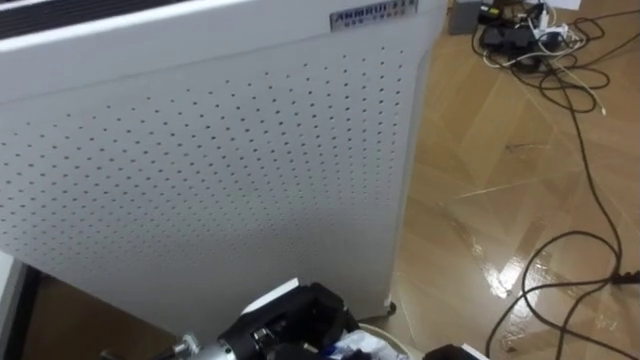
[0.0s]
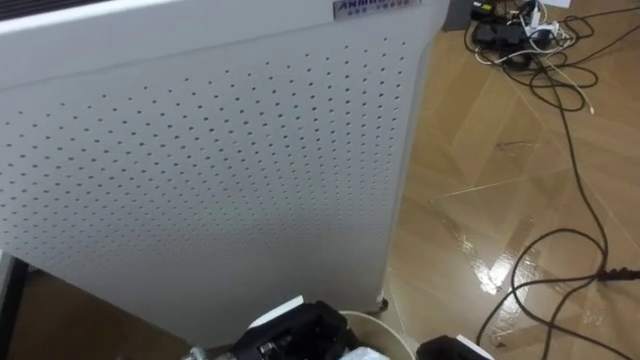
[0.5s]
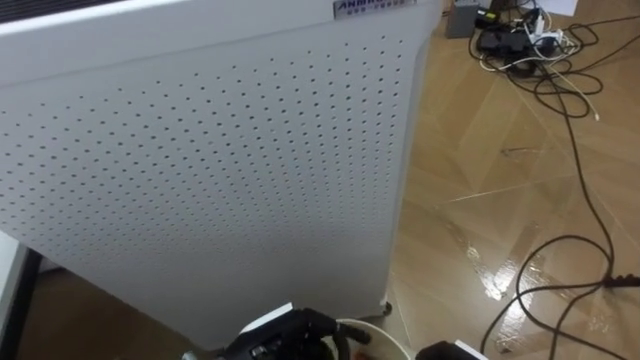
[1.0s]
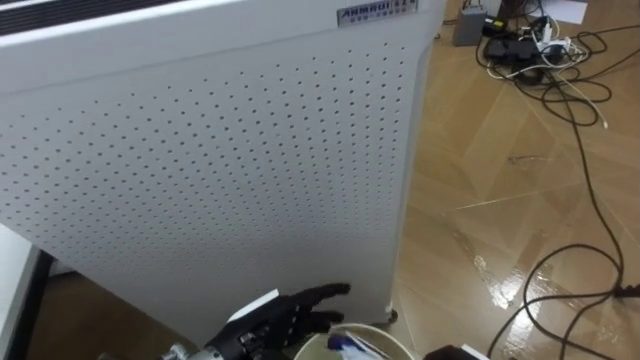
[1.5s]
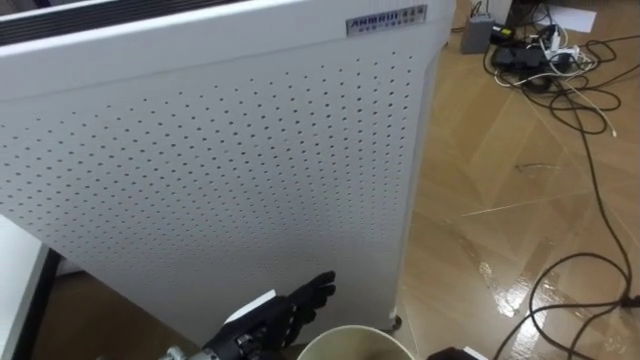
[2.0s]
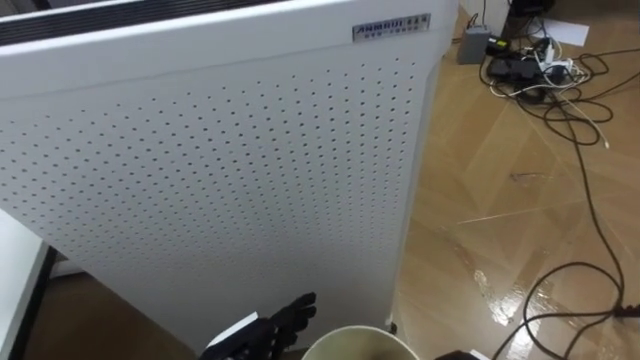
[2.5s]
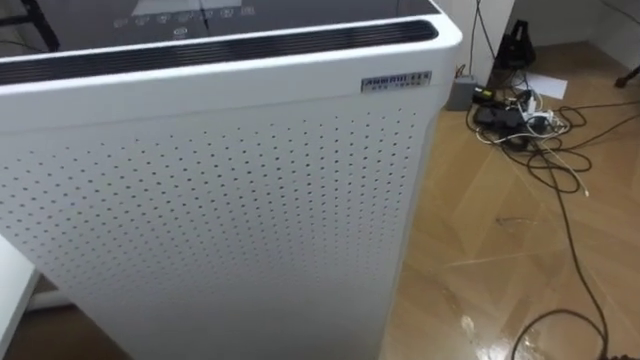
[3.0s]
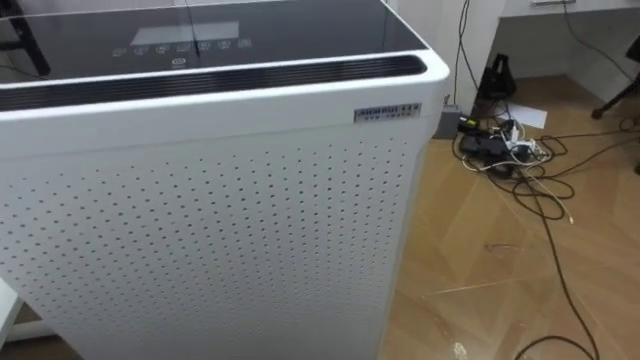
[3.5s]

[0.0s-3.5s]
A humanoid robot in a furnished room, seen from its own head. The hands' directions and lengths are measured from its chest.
Task of the whole recording: Pick up the light blue package, the candy box, and the dark blue package separately, and put them into the trash can held in your right hand.
0.0s to 2.0s: The left hand opens up.

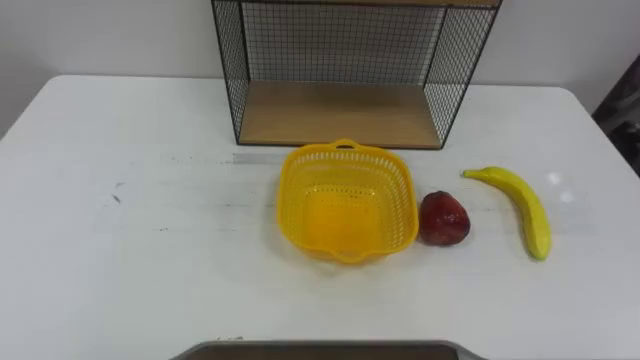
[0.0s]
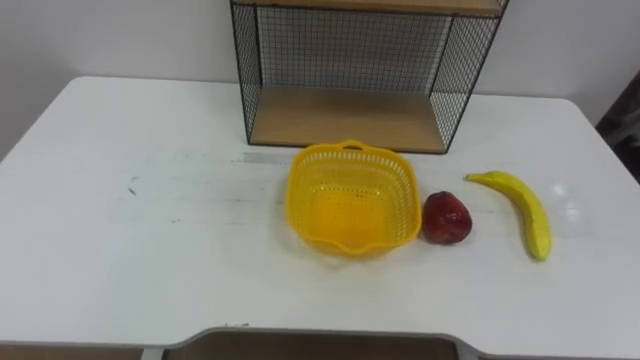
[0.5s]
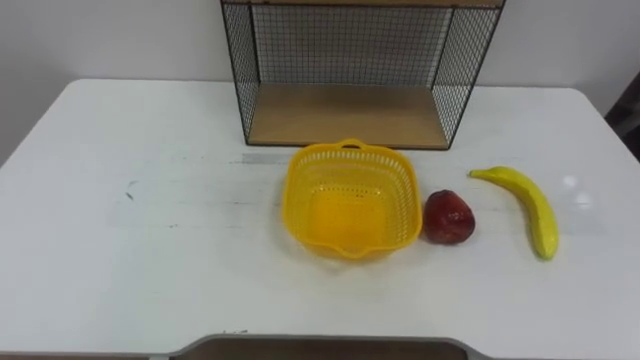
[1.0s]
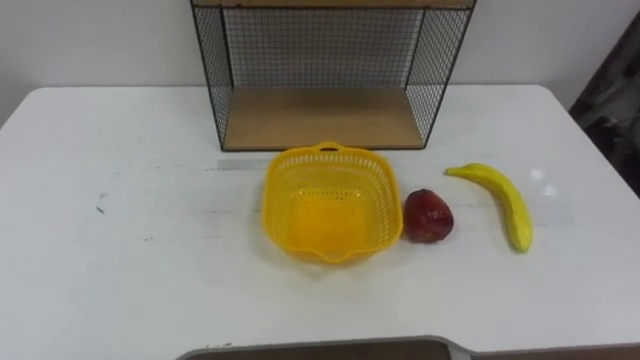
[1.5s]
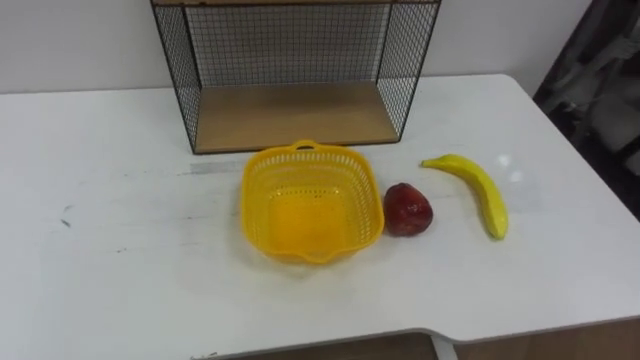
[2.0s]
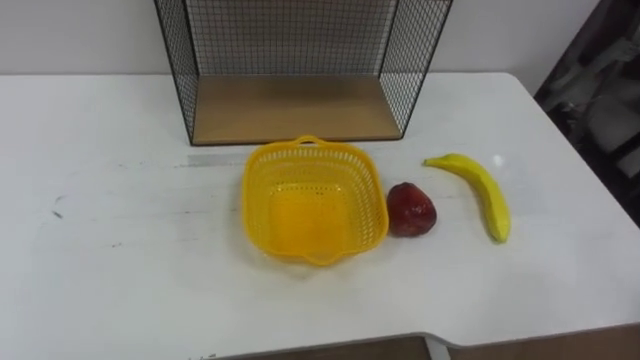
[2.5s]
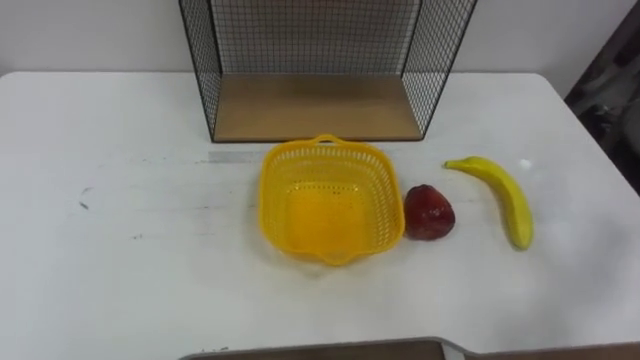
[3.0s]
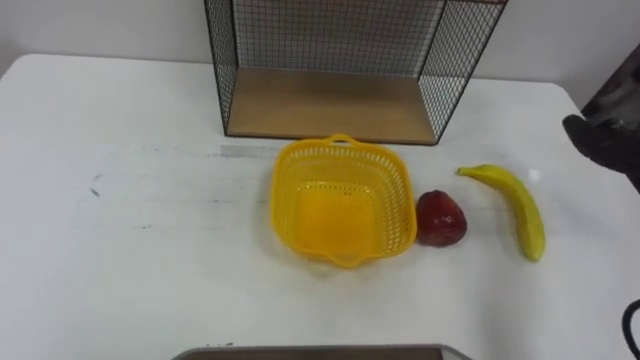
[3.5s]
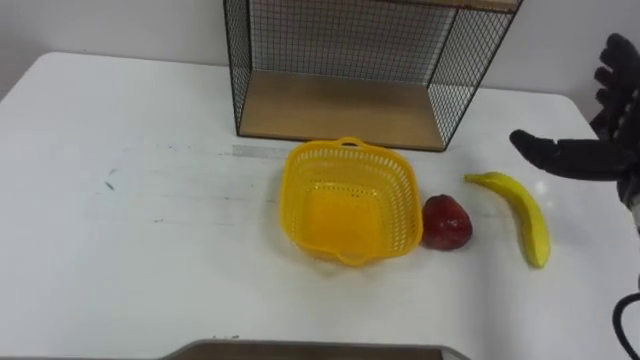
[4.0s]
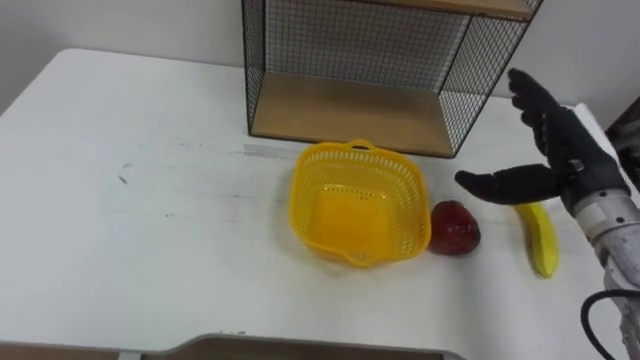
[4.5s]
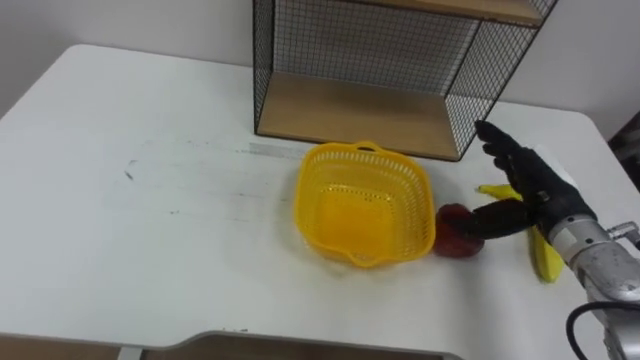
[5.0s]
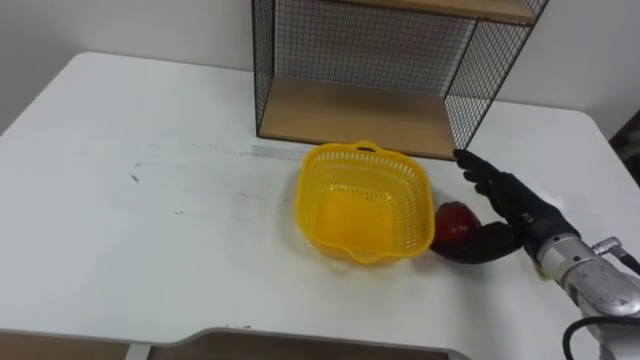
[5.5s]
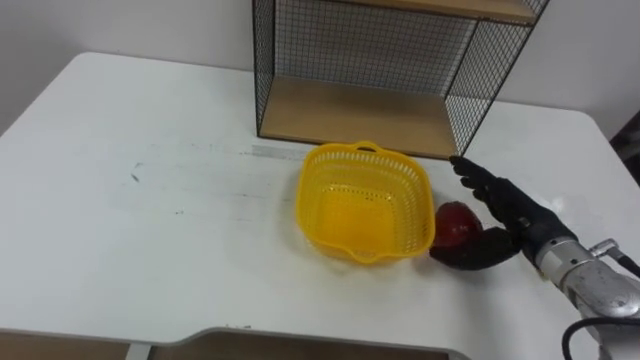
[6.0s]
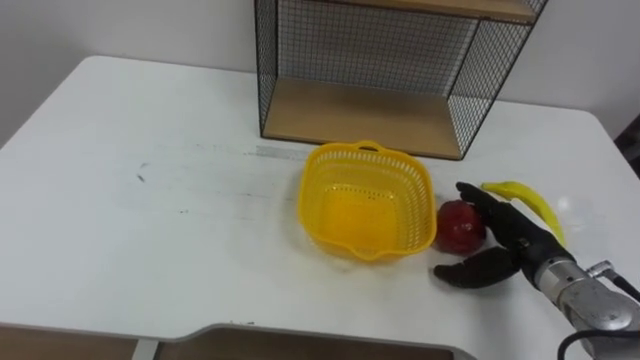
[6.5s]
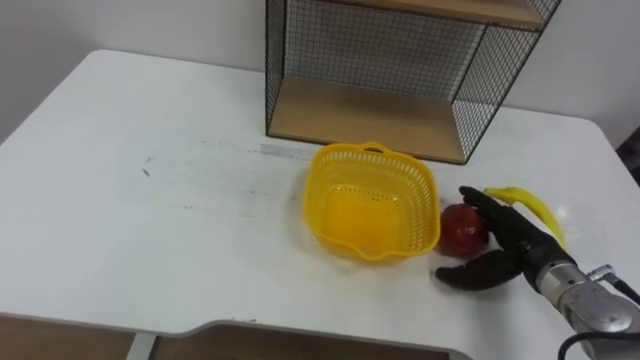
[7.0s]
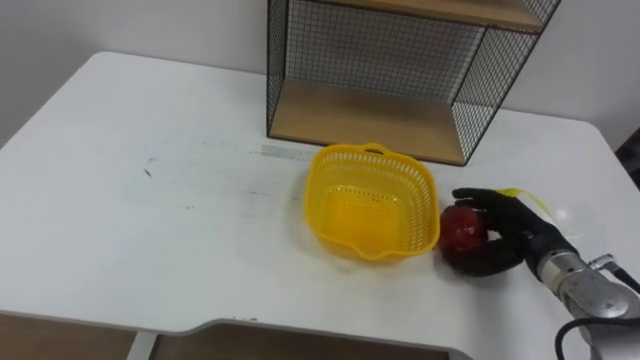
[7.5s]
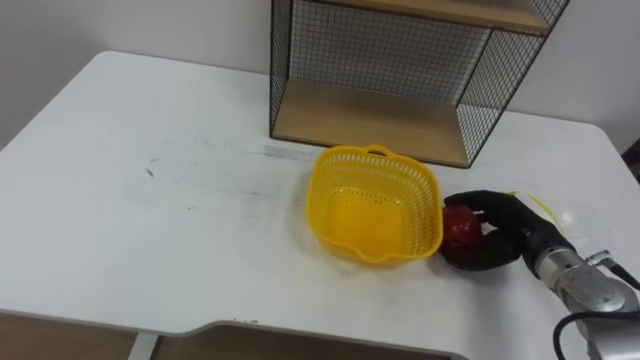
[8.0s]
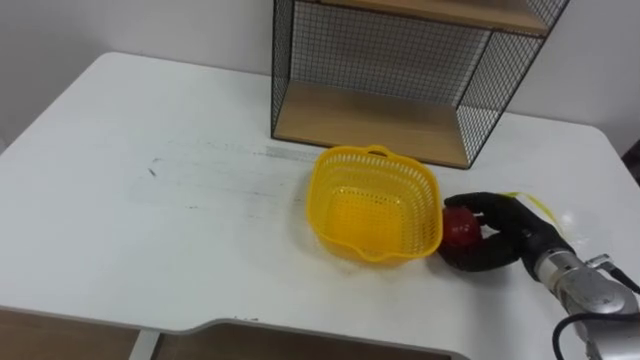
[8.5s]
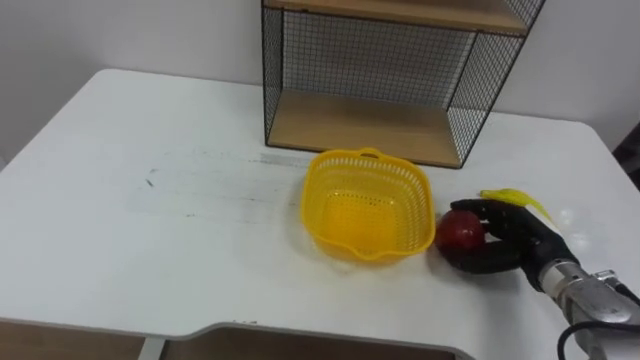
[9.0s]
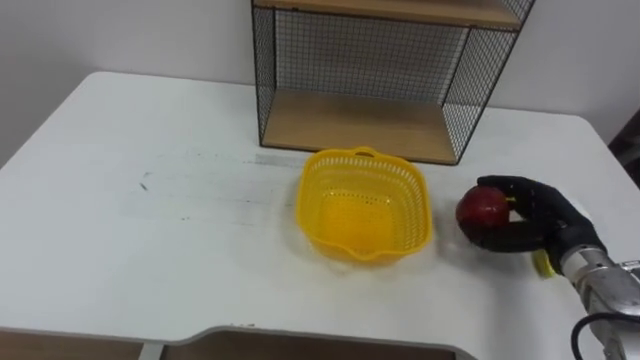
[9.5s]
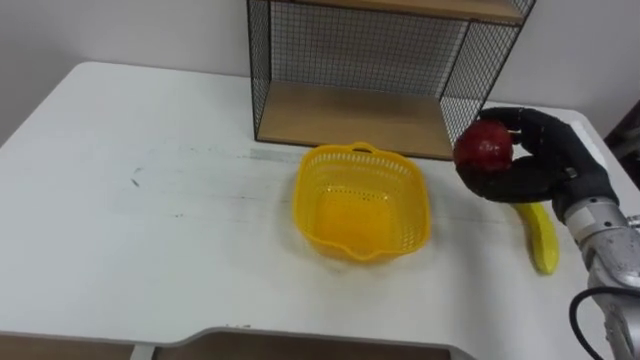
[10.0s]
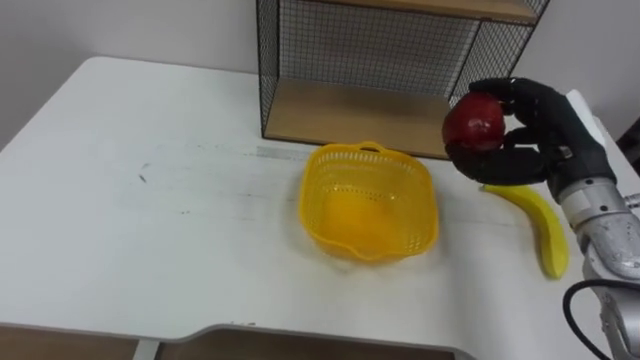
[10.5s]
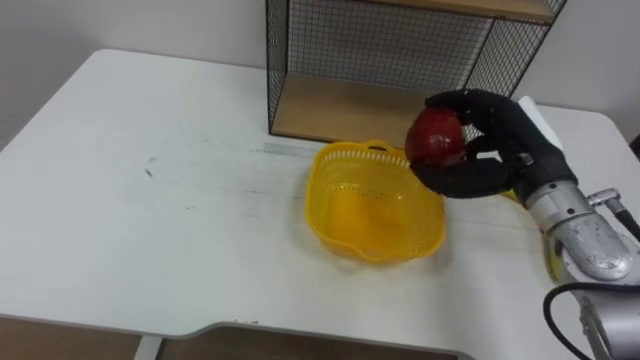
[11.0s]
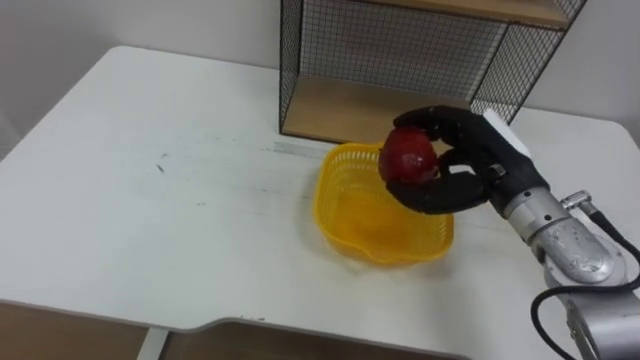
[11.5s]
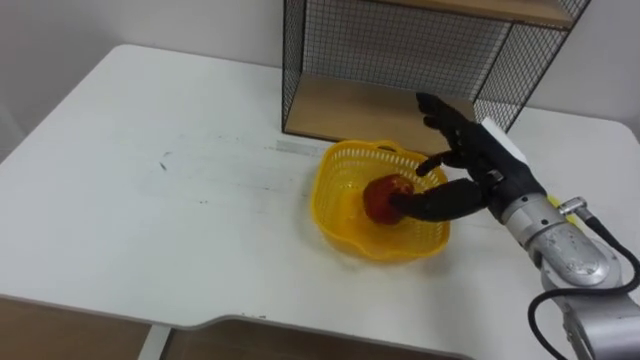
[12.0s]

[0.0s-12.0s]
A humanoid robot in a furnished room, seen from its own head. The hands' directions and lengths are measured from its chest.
Task of the whole recording: Put the fruit on the table into the basket, then place the basket on the shelf.
6.0s to 8.0s: The right hand closes.
8.0s to 10.0s: The right hand is displaced upward by approximately 10 cm.
10.0s to 12.0s: The right hand shifts roughly 10 cm to the left, and opens.

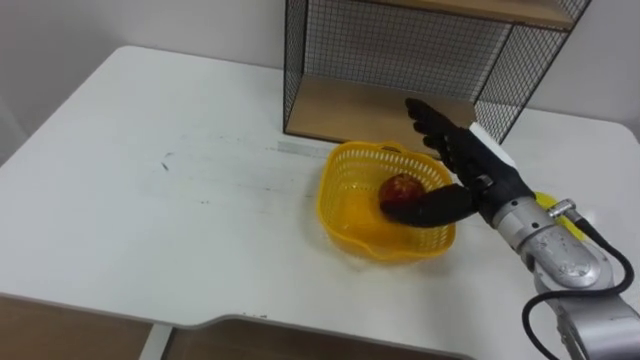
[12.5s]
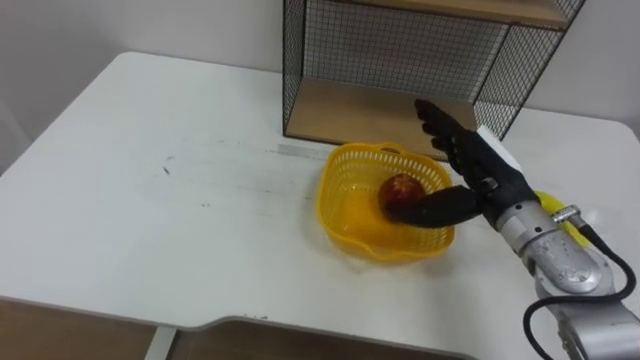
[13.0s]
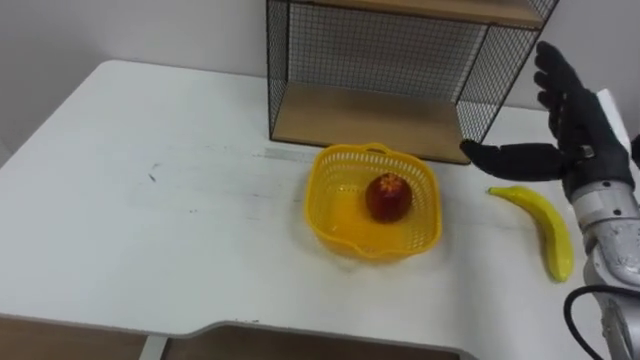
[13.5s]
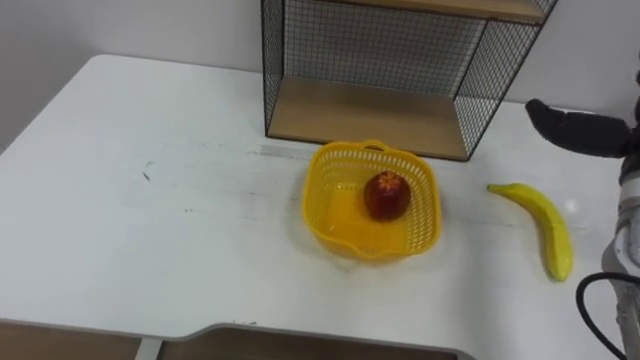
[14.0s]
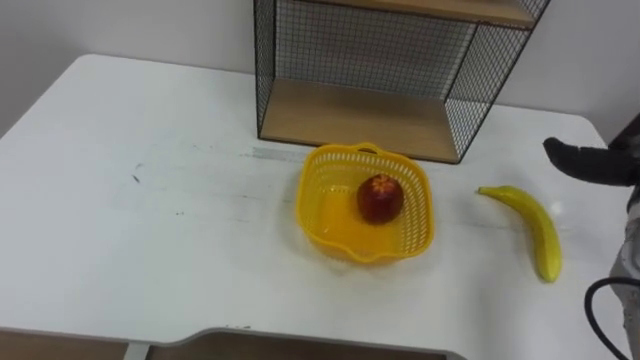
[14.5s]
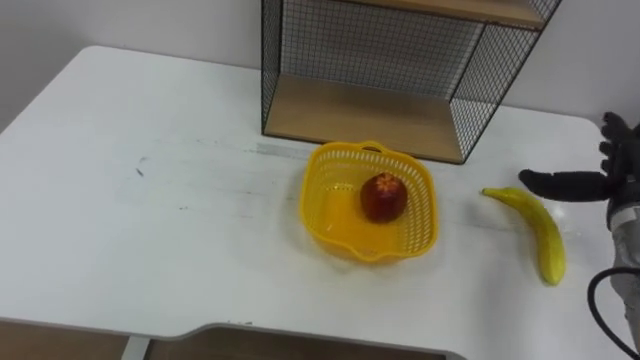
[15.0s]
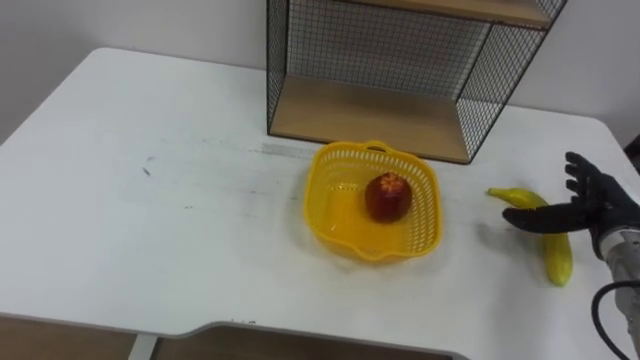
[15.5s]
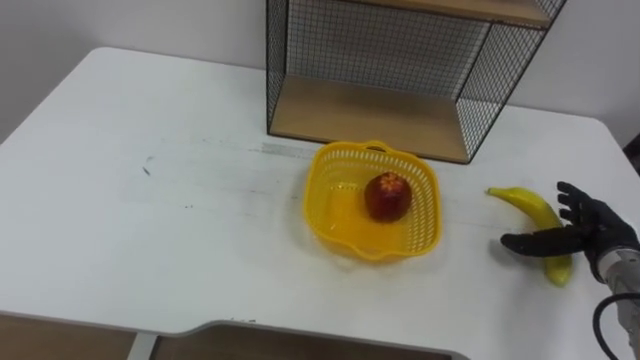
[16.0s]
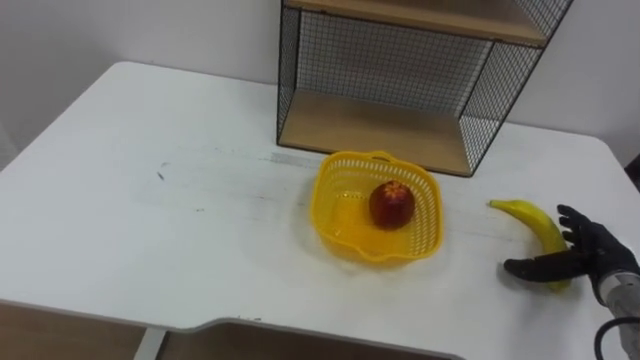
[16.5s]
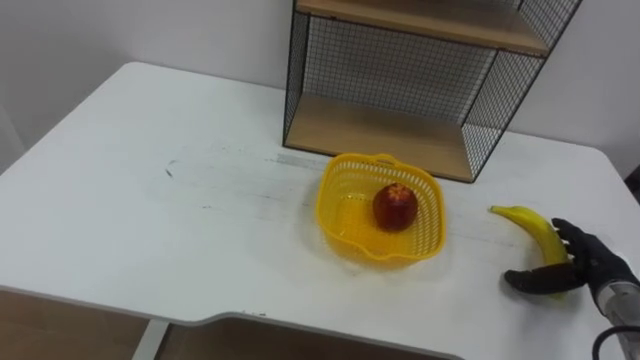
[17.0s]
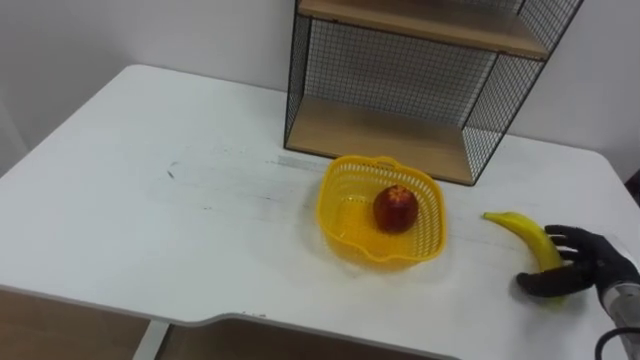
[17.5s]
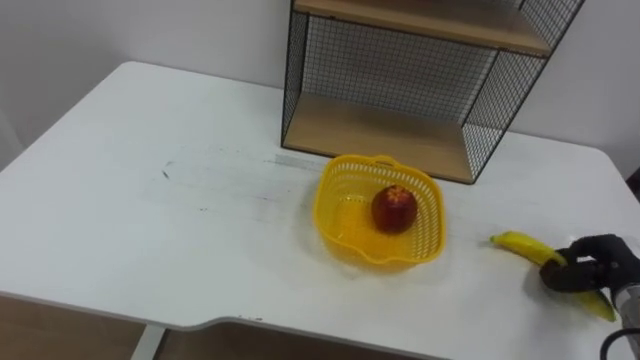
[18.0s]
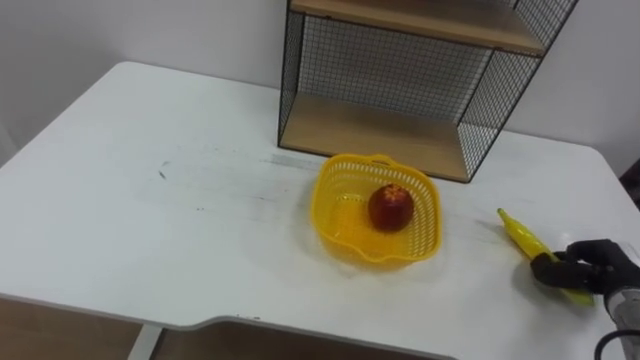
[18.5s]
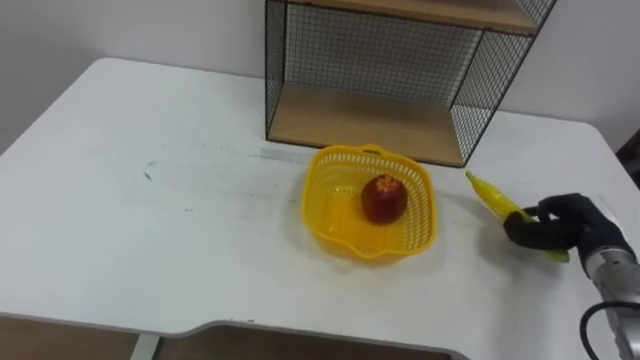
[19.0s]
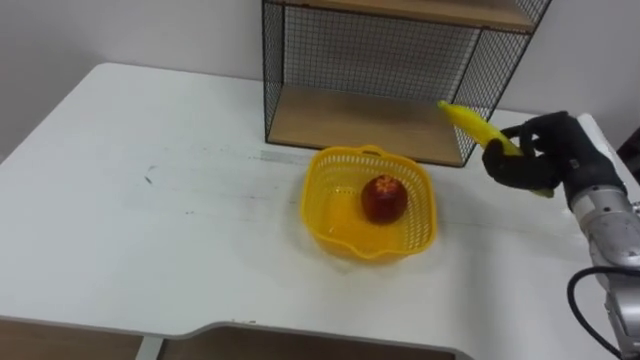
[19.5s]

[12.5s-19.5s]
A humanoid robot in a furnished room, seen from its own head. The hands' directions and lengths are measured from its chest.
Task of the whole recording: Put the fruit on the table into the basket, then place the basket on the shelf.
16.0s to 17.5s: The right hand shifts by some 5 cm.
17.5s to 19.5s: The right hand is displaced upward, forward and to the left by some 20 cm, and closes up.
